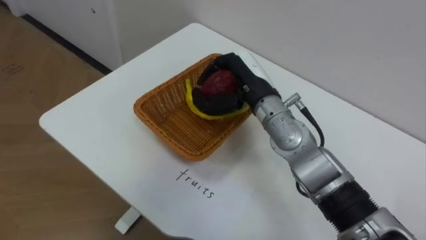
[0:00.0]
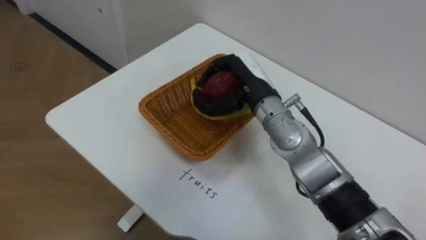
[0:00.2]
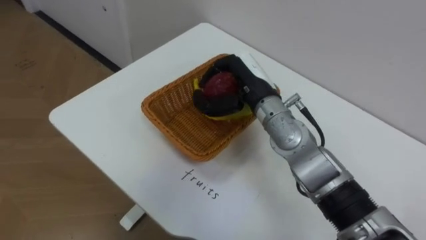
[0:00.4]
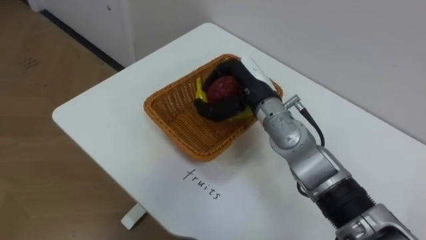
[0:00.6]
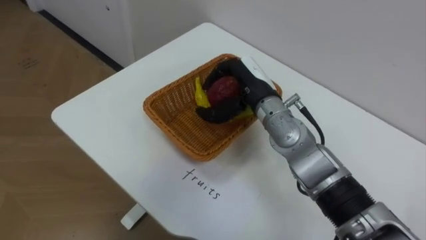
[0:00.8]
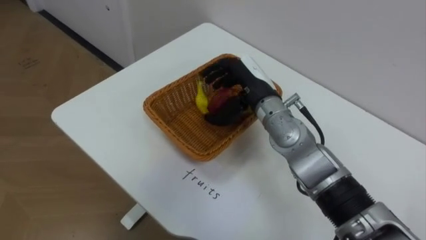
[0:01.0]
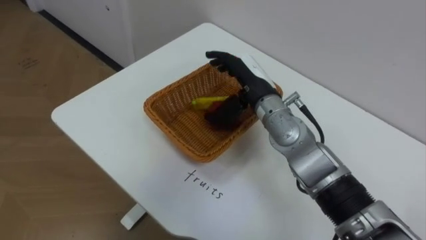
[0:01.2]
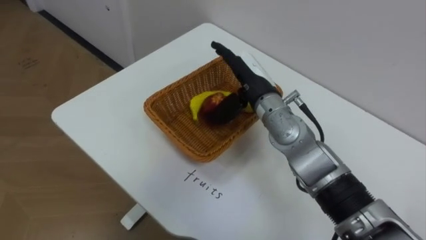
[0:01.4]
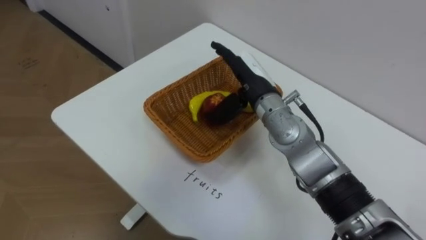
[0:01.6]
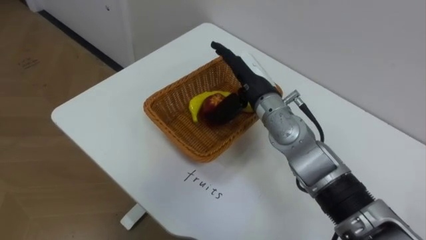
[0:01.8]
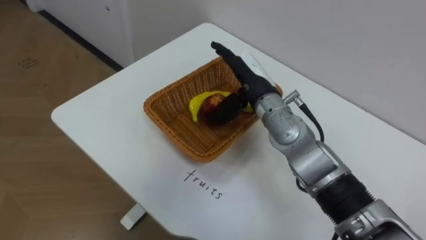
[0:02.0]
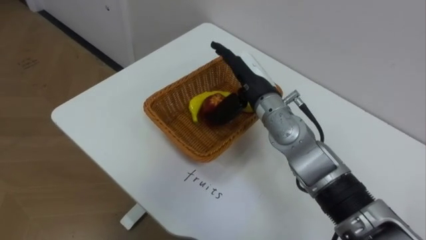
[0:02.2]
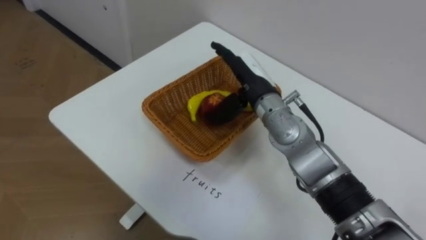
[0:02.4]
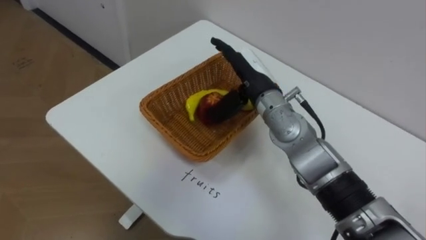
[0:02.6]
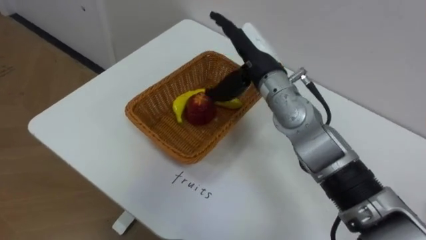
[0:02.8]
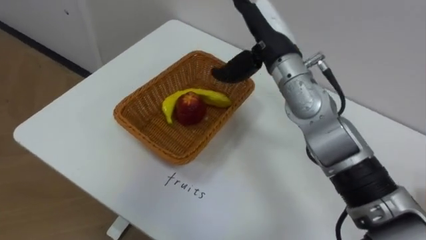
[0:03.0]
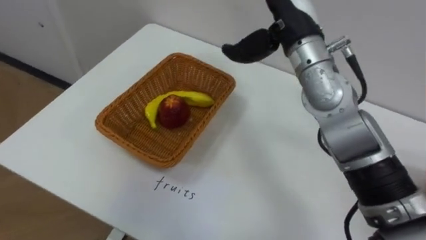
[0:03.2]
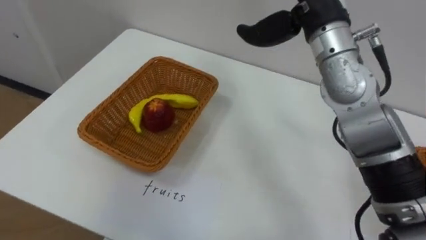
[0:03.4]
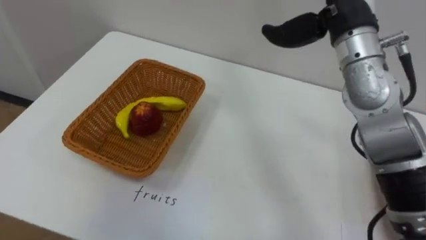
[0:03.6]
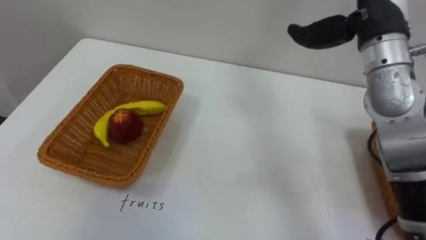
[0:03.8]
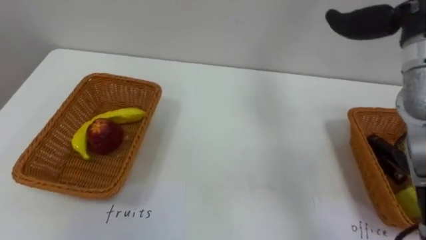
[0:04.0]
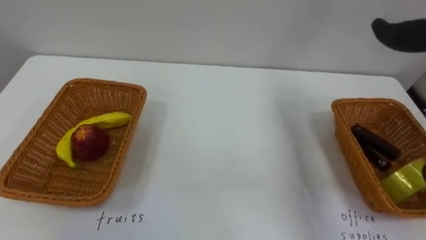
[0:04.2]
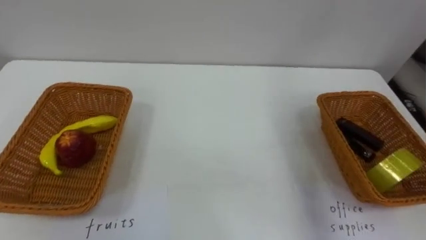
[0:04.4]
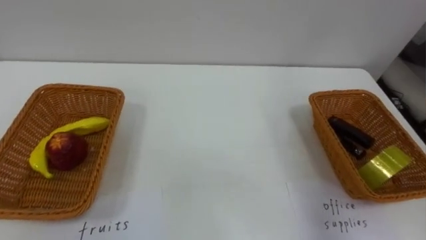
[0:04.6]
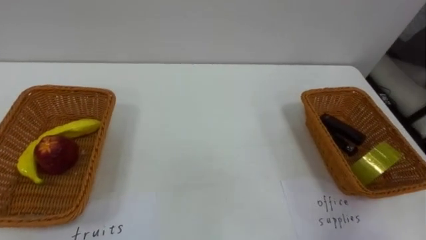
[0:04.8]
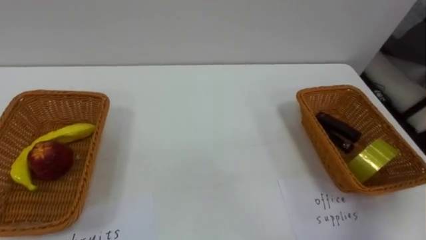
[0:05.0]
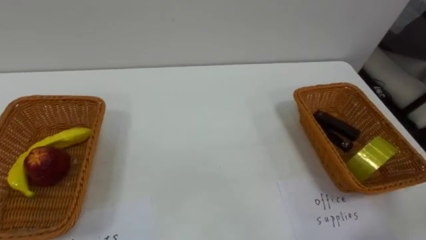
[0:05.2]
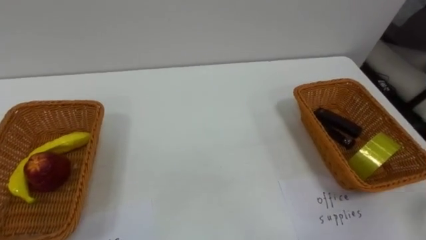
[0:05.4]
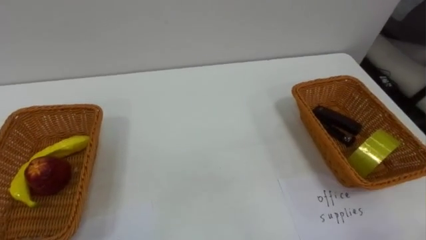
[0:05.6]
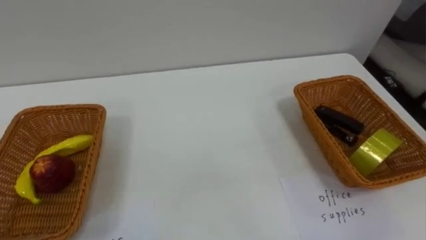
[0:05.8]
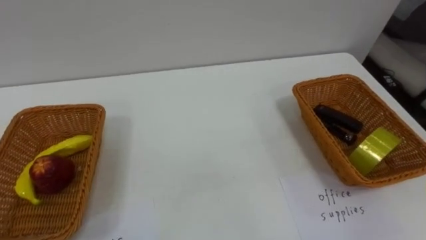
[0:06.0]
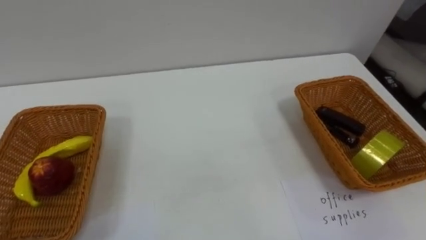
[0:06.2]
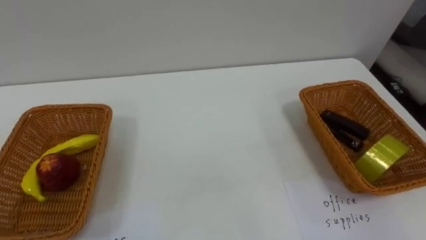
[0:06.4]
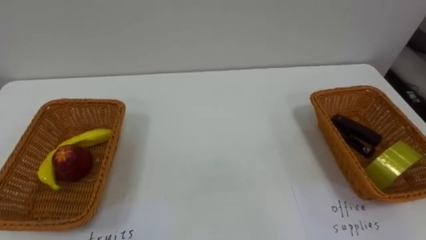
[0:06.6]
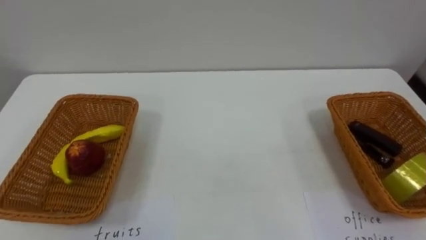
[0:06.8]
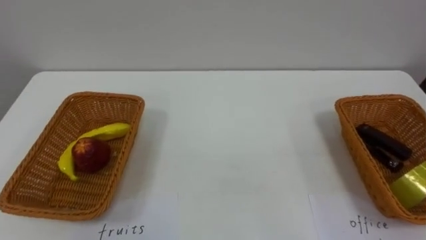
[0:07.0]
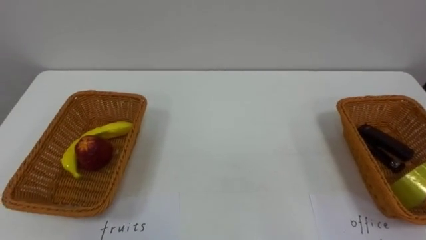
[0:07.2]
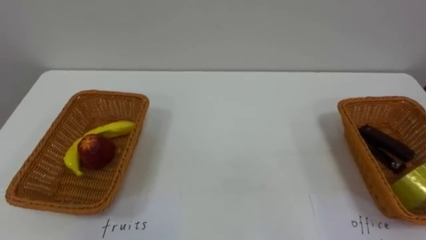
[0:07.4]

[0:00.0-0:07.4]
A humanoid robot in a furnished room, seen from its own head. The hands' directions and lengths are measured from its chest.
Task of the whole recording: Separate the items on the table and place them into the two baskets.
0:00.0 to 0:01.4: The right hand opens its fingers.
0:01.4 to 0:03.0: The right hand shifts approximately 10 cm upward.

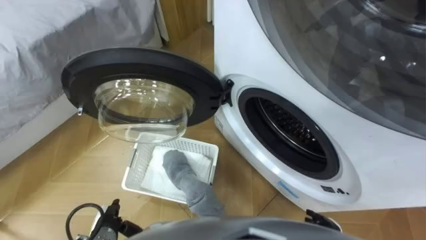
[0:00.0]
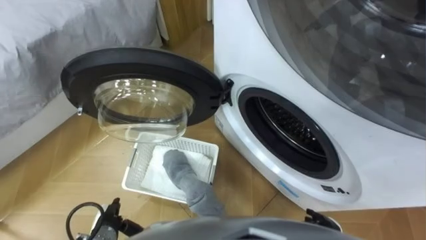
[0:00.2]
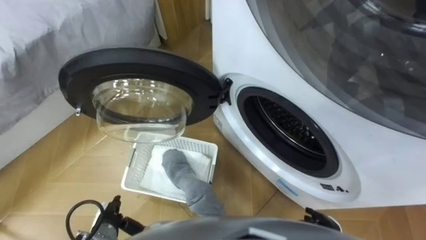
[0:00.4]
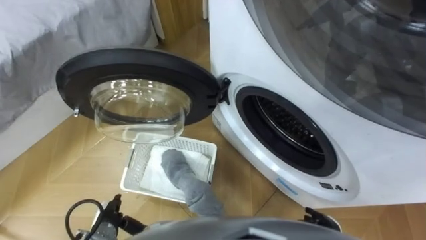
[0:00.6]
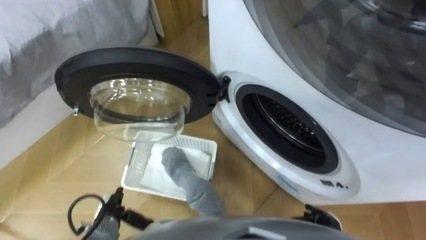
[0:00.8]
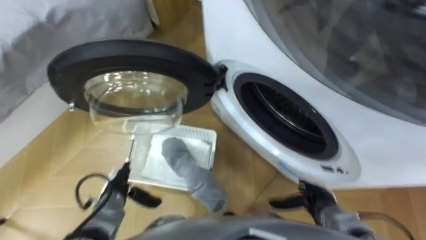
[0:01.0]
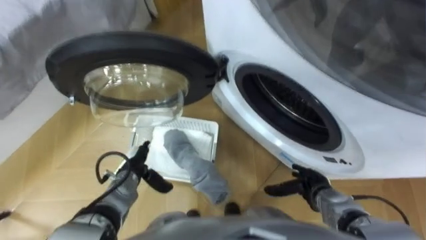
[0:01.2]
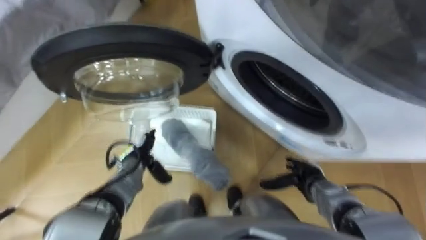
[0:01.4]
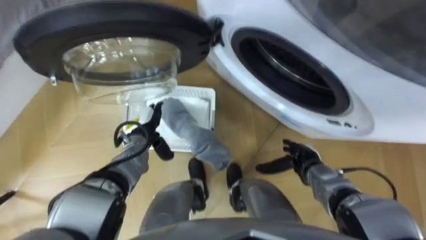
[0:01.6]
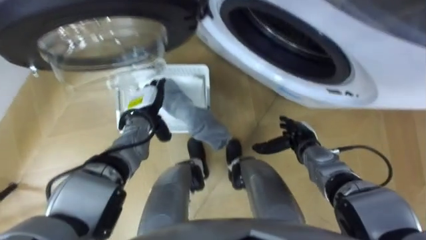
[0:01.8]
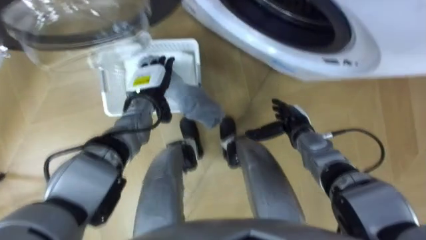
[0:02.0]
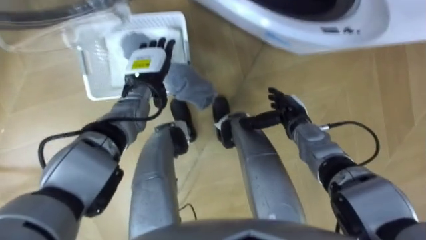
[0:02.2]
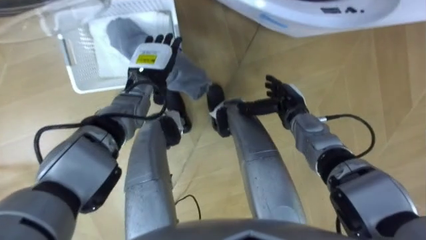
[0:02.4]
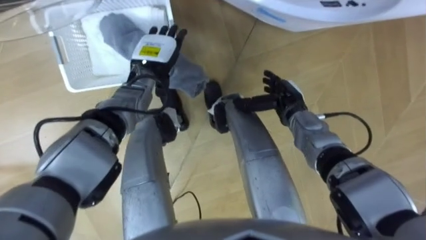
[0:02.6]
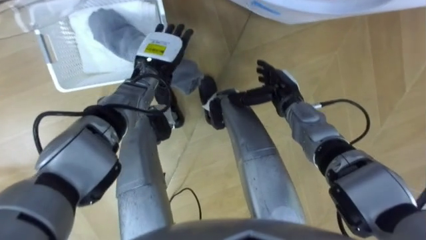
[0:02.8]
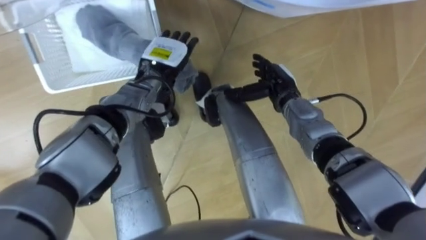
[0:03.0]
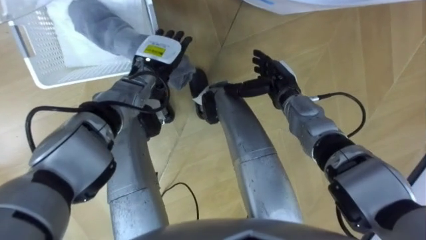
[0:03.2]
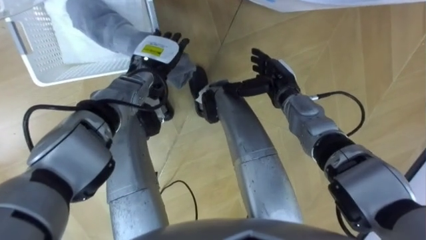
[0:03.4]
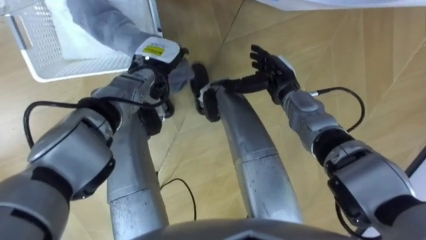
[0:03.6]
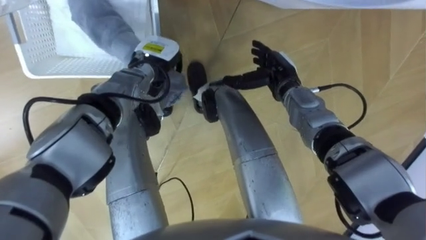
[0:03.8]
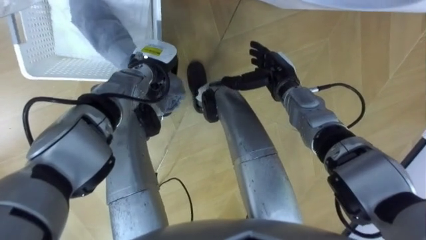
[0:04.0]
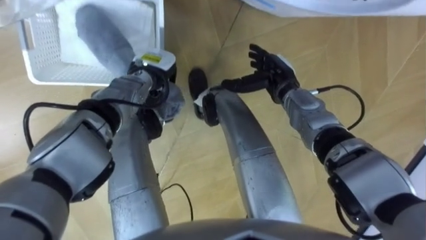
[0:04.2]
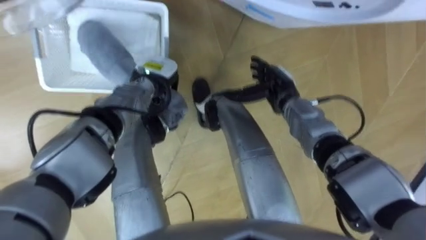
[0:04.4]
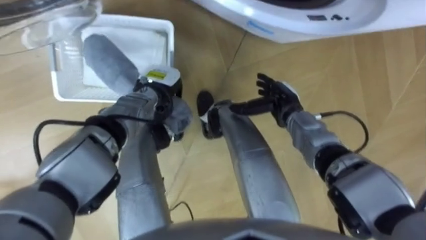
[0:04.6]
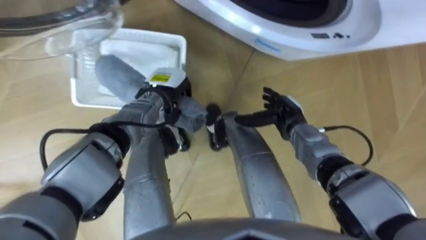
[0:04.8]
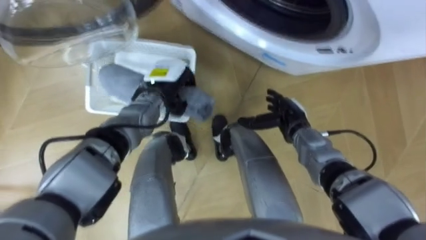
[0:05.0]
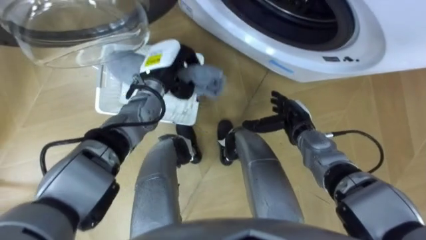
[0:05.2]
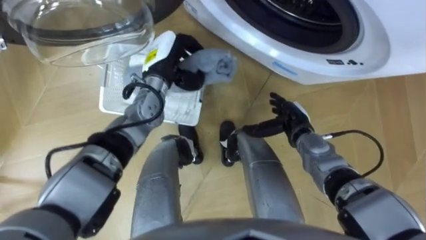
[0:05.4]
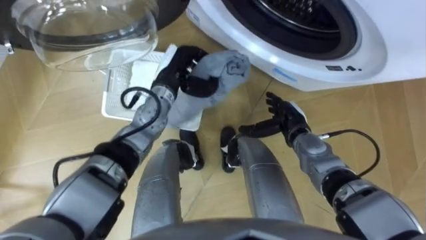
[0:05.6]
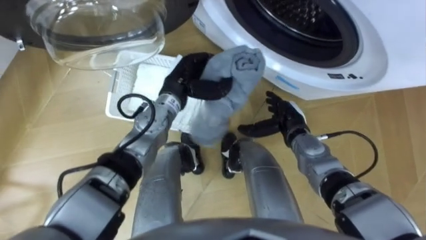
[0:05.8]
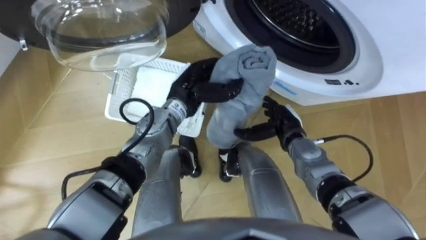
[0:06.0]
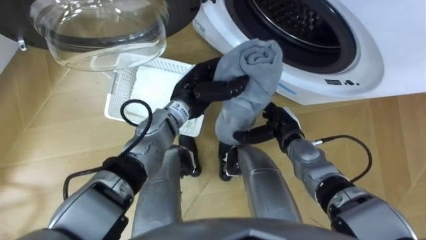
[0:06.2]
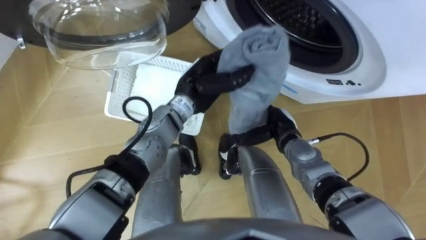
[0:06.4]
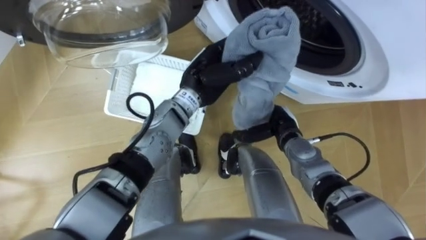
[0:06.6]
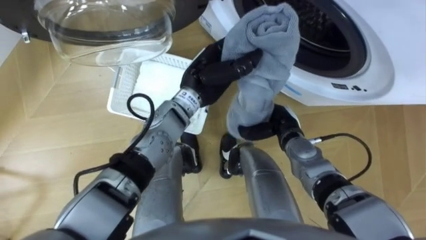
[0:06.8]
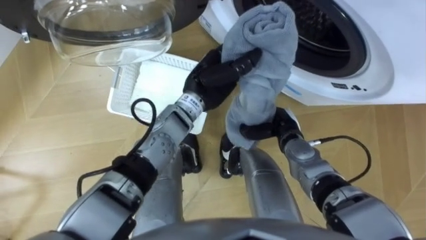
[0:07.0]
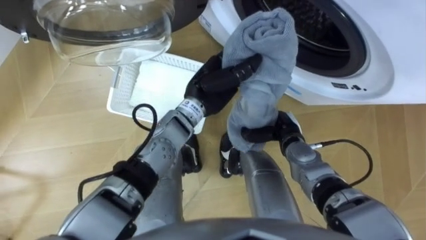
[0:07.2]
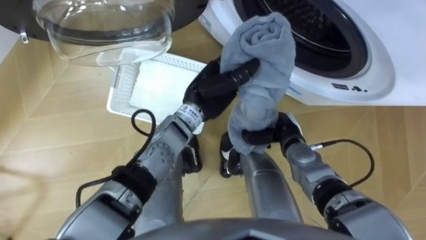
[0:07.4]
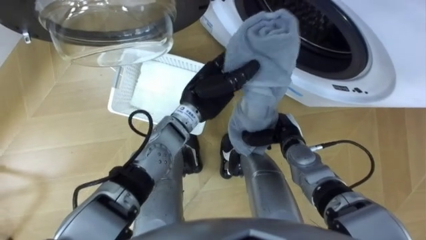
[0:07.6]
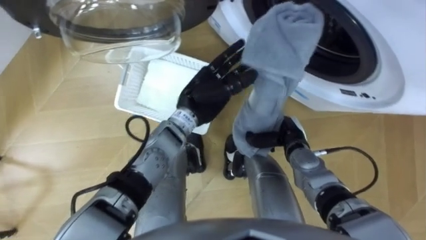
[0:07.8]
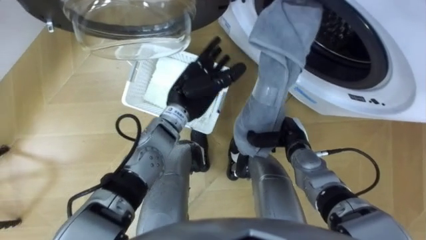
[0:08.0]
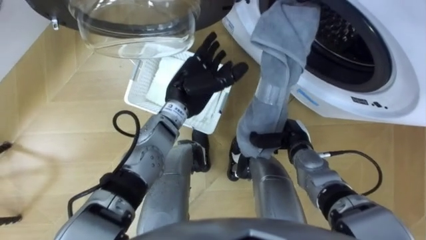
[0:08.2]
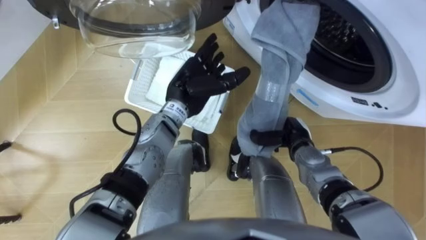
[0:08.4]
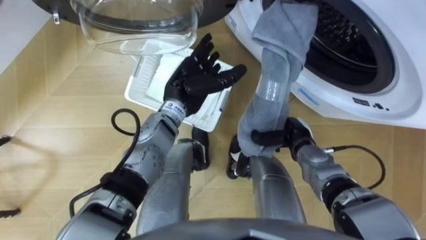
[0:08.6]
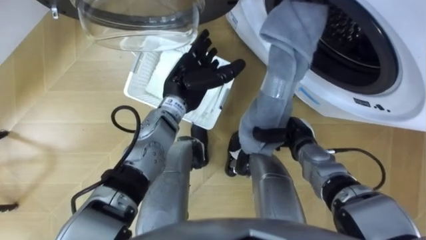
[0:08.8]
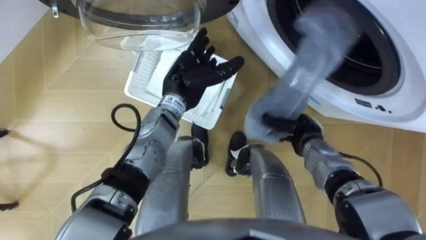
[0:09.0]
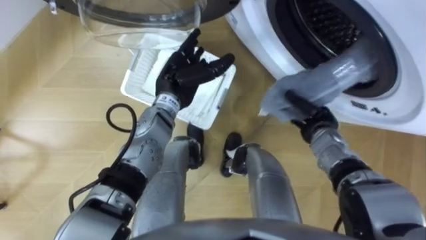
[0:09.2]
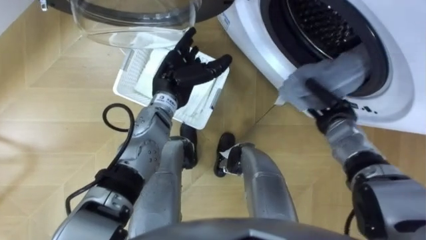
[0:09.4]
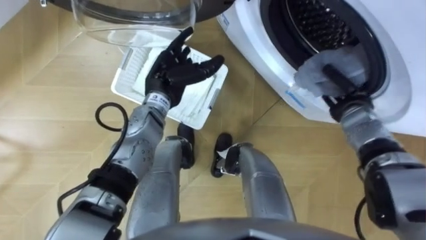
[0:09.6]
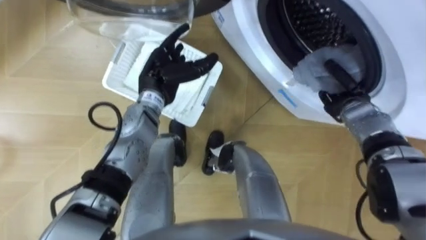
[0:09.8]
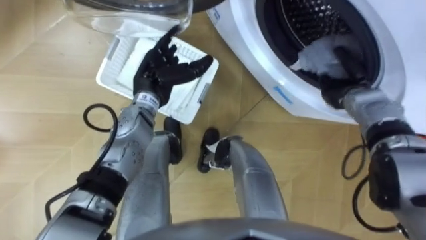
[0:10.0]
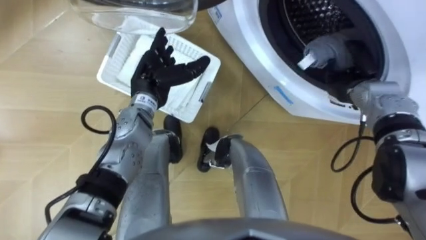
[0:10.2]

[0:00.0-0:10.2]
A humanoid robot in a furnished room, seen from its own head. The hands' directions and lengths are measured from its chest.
Task of the whole recording: Take the towel from the basket and put it into the washing machine.
0:01.4 to 0:03.0: The right hand travels forward, upward and to the left by roughly 25 cm. The left hand goes approximately 25 cm forward, upward and to the right.
0:03.0 to 0:04.4: The left hand closes.
0:04.4 to 0:05.8: The right hand goes roughly 5 cm backward. Meanwhile the left hand is displaced to the right by about 5 cm.
0:05.8 to 0:07.2: The right hand closes up, while the left hand shifts some 5 cm to the right.
0:07.2 to 0:08.8: The left hand heads to the left, covering about 5 cm, and opens its fingers.
0:08.8 to 0:10.2: The right hand moves to the right, upward and forward, about 15 cm, and opens its fingers, while the left hand shifts roughly 5 cm to the left.
